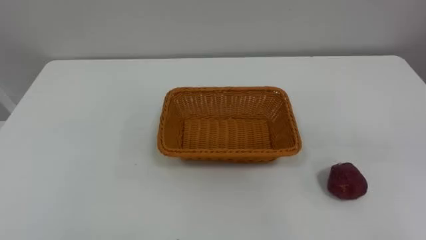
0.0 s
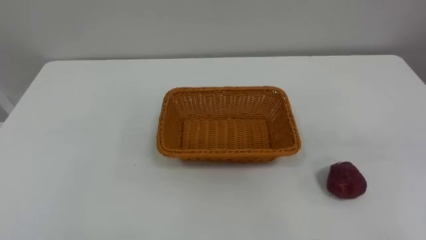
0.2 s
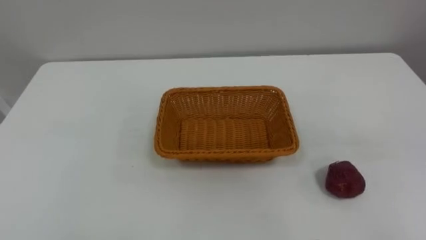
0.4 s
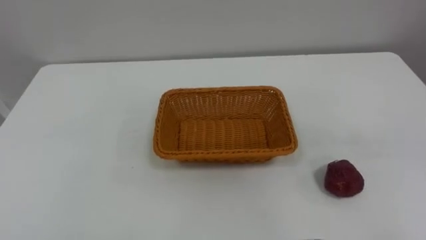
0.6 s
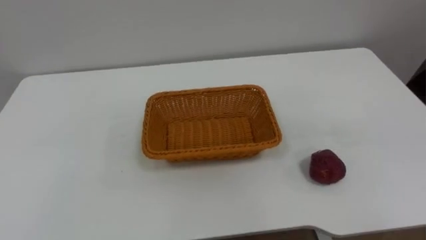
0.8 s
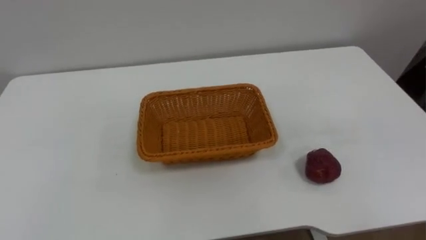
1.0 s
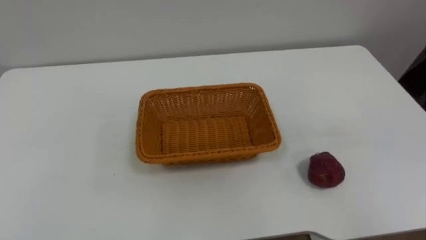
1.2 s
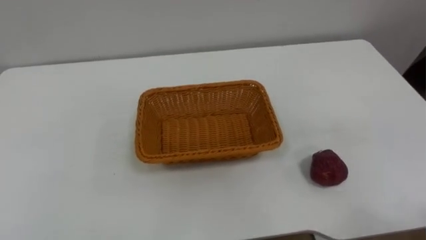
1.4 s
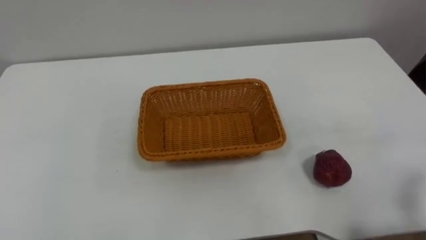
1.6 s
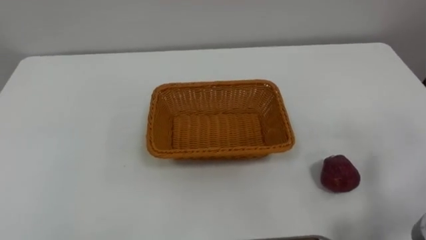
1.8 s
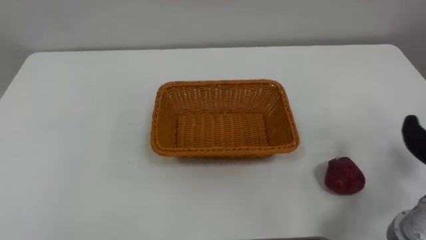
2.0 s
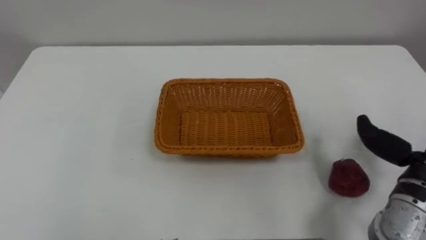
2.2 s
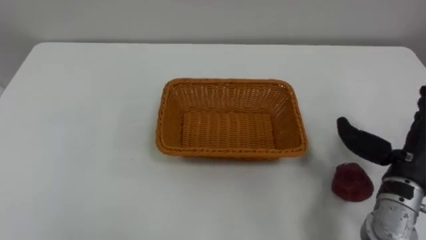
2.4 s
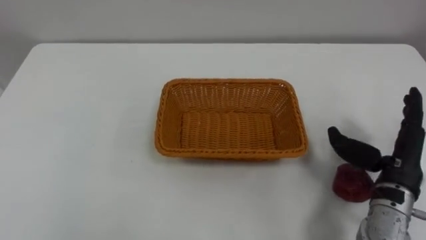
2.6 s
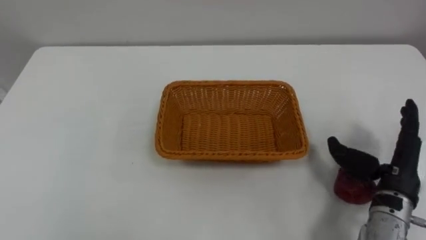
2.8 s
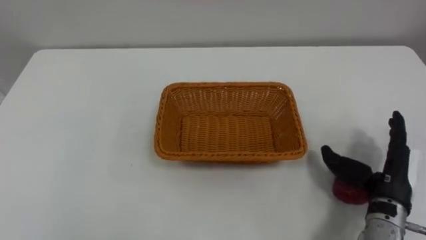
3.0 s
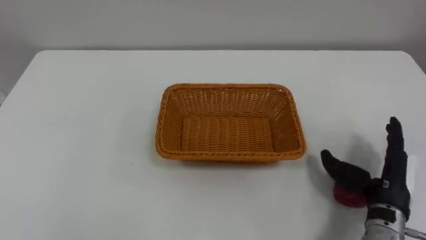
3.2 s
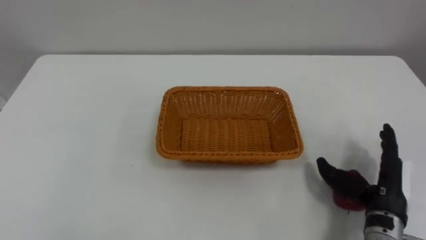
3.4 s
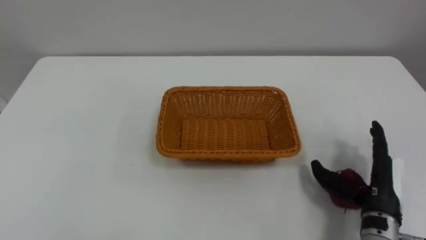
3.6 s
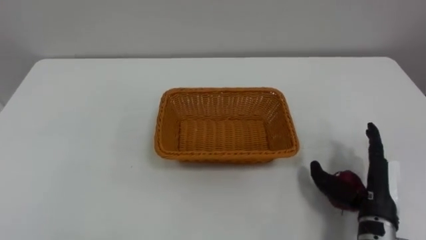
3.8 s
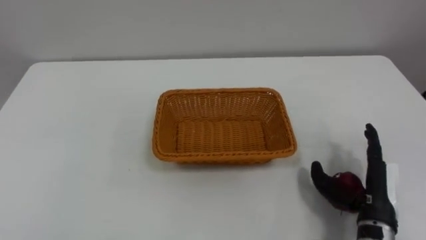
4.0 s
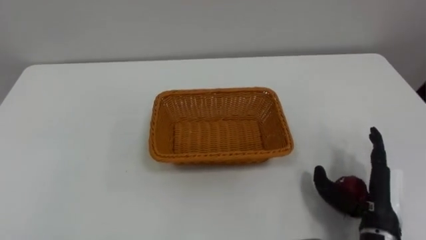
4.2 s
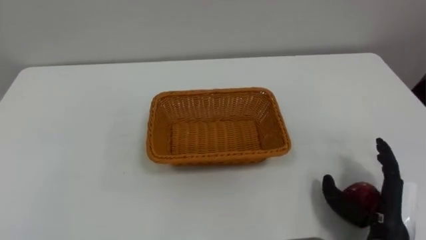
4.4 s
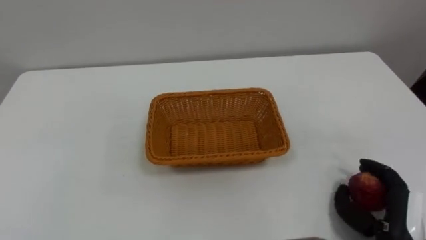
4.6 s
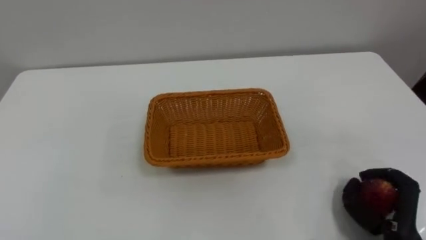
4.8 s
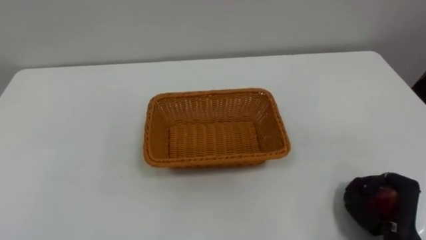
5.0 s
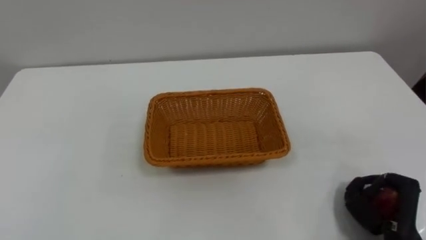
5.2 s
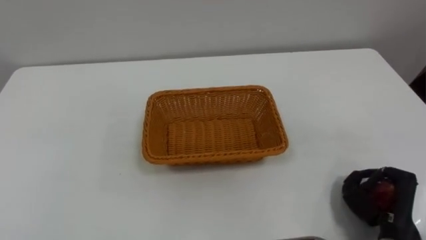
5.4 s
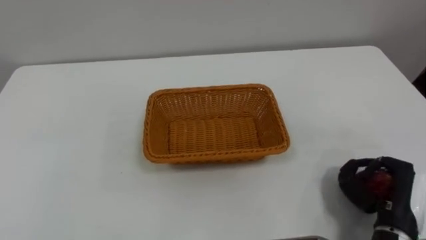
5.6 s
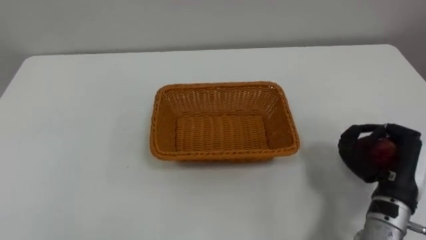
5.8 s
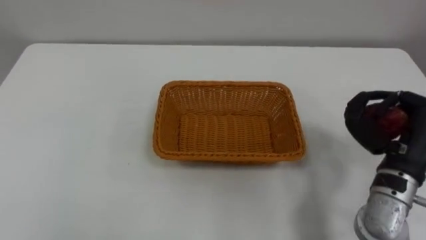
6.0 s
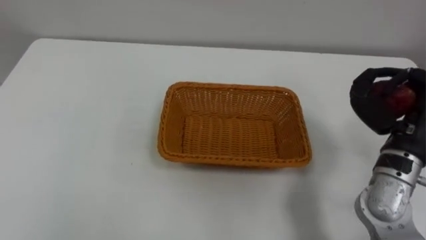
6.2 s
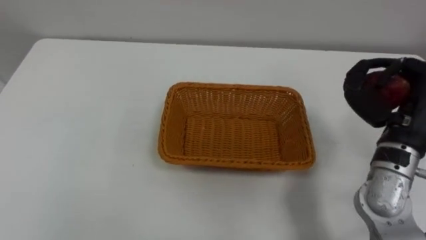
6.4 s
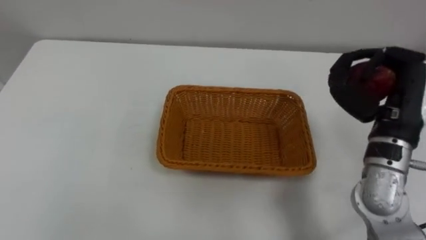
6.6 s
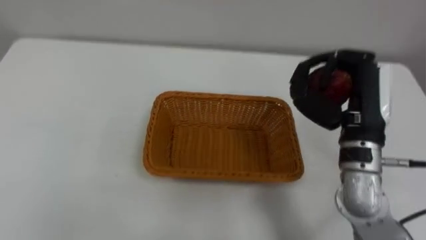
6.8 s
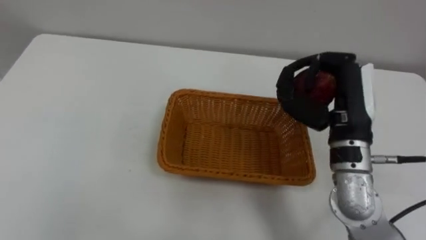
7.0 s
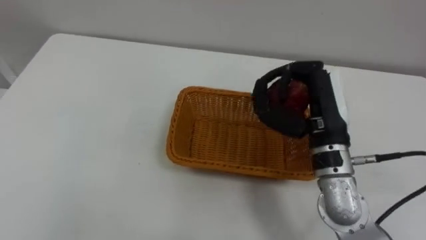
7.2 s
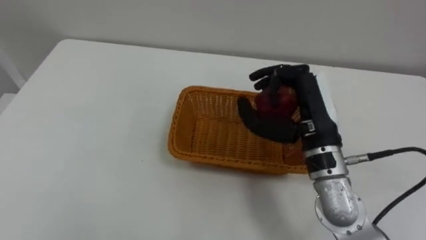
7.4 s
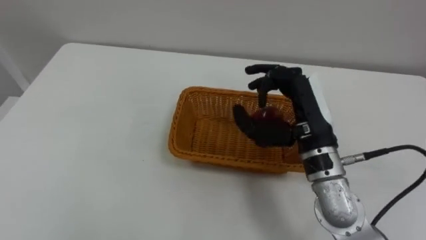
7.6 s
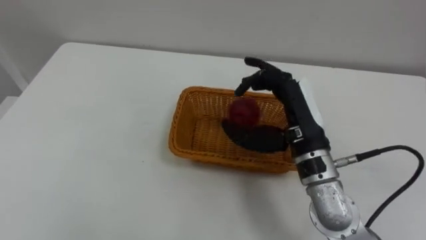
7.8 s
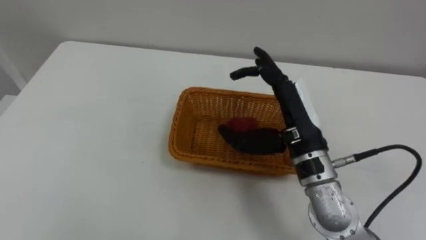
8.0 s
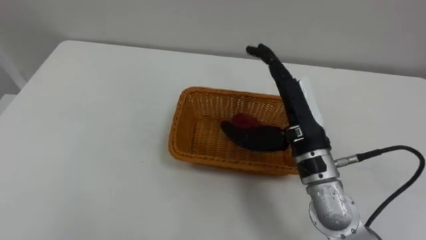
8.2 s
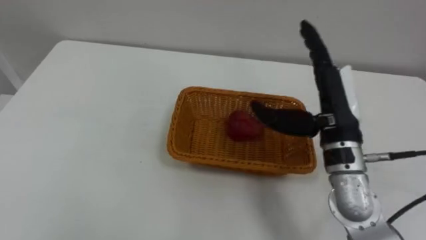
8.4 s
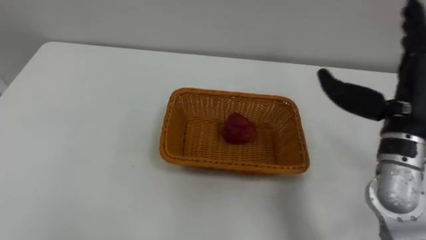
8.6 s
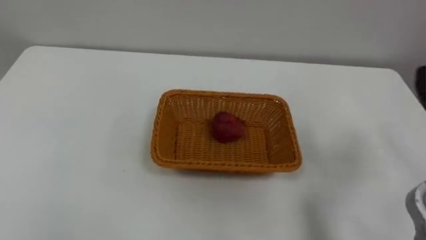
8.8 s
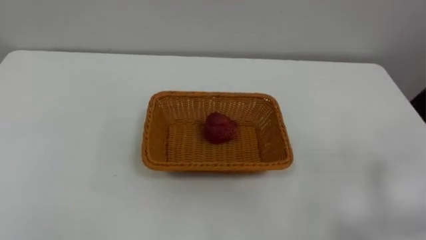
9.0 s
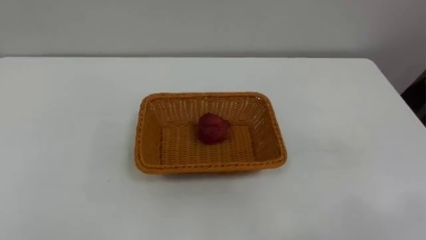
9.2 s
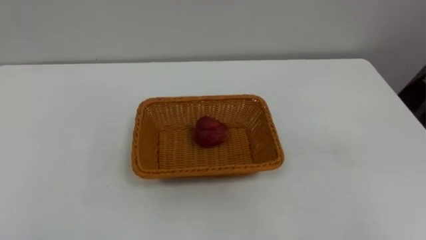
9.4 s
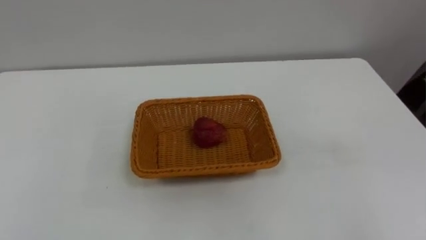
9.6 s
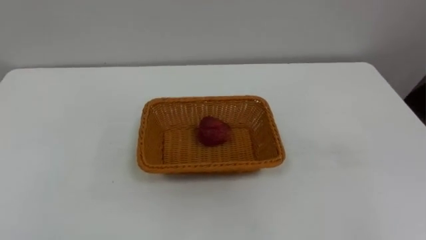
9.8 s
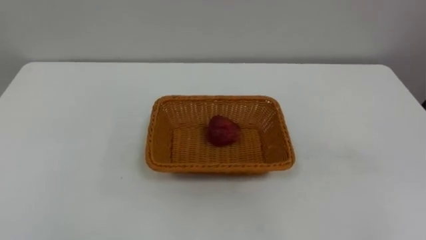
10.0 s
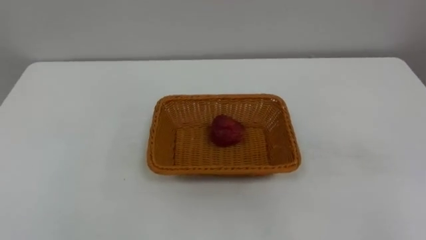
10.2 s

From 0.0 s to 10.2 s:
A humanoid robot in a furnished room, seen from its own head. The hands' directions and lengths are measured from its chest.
Task of the whole recording: Pick the apple and place it in the box.
From 3.0 s to 4.4 s: The right hand shifts approximately 5 cm backward.
From 4.4 s to 5.8 s: The right hand moves upward and forward, about 10 cm, and closes its fingers.
From 5.8 s to 7.2 s: The right hand goes some 20 cm to the left, upward and forward.

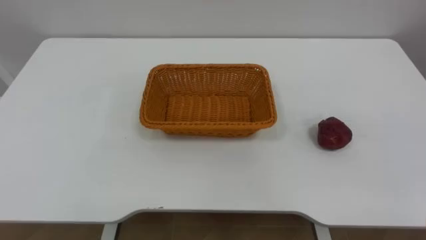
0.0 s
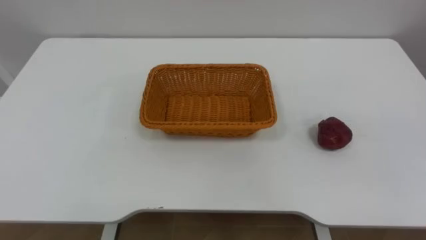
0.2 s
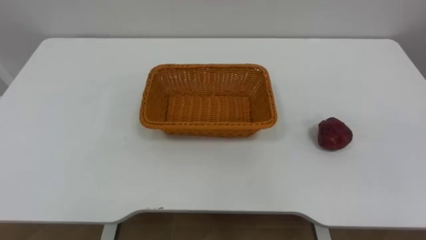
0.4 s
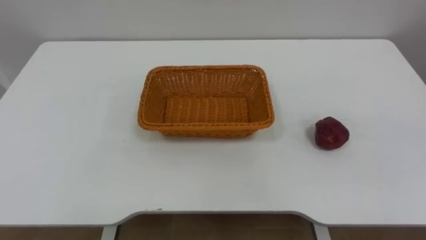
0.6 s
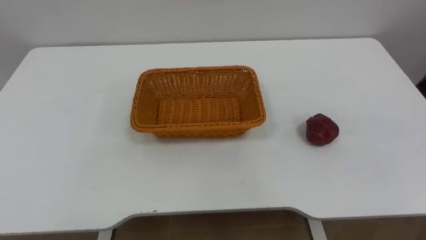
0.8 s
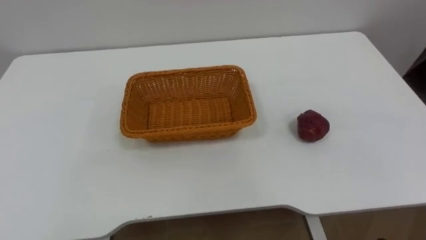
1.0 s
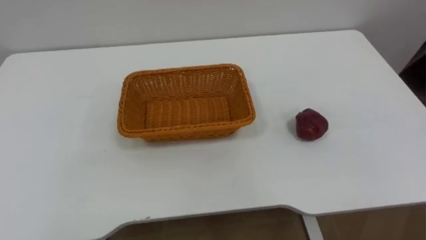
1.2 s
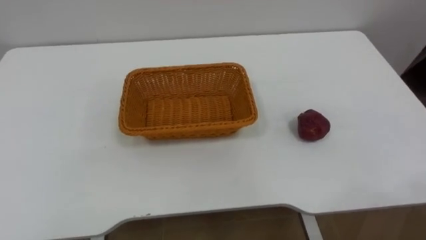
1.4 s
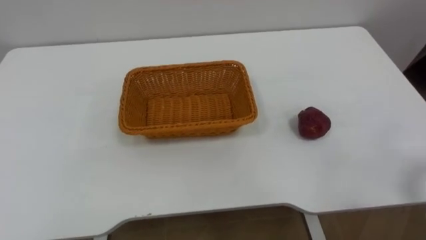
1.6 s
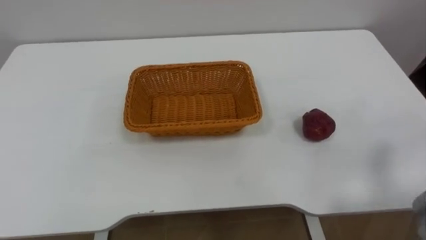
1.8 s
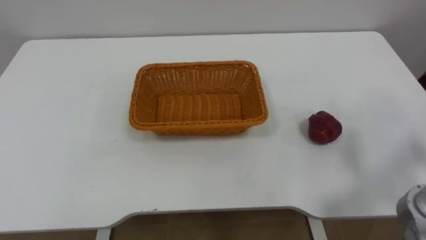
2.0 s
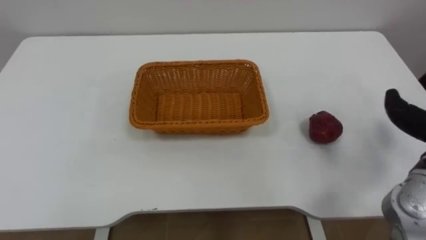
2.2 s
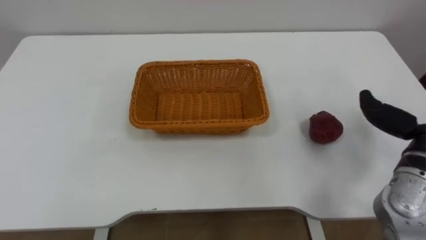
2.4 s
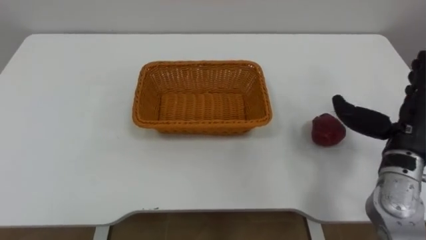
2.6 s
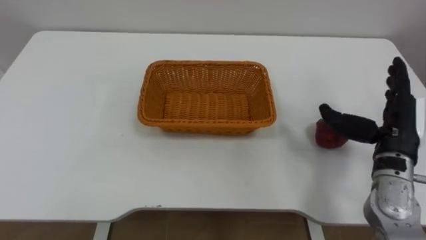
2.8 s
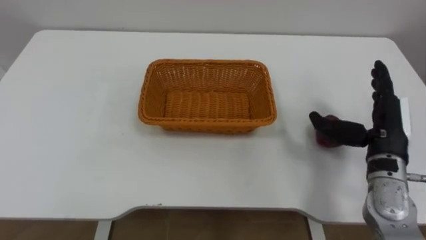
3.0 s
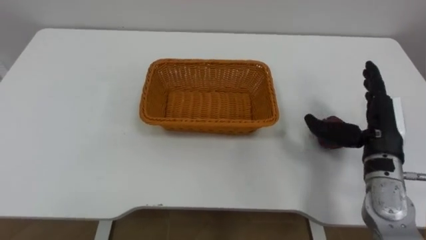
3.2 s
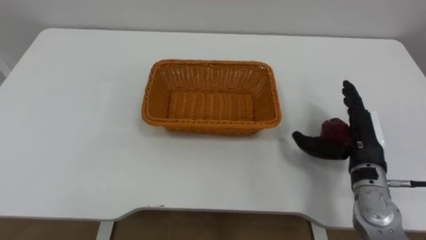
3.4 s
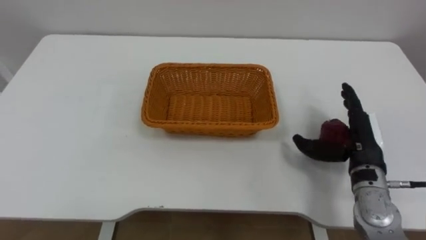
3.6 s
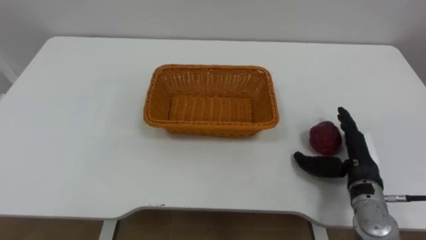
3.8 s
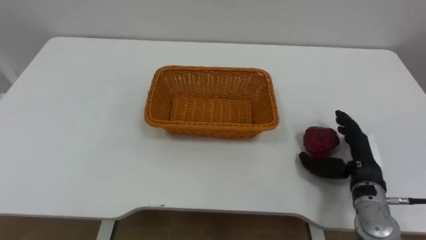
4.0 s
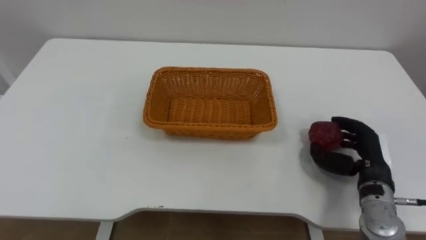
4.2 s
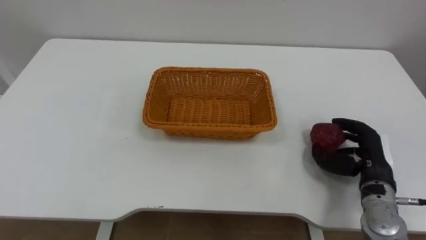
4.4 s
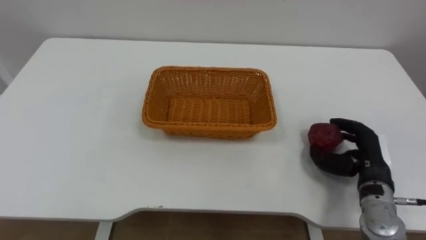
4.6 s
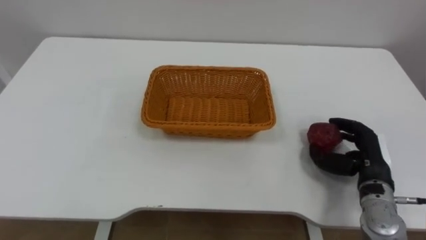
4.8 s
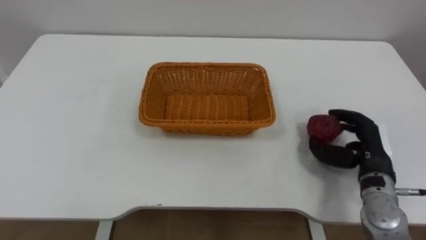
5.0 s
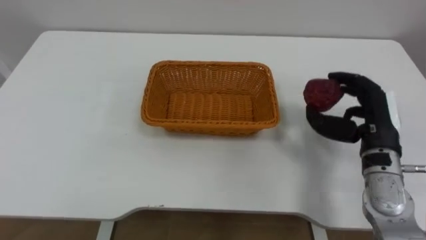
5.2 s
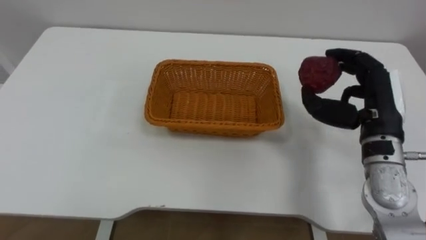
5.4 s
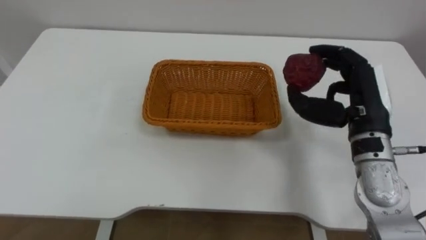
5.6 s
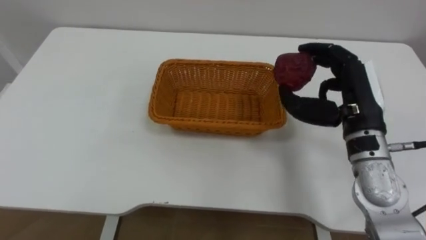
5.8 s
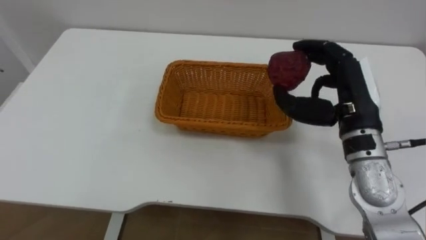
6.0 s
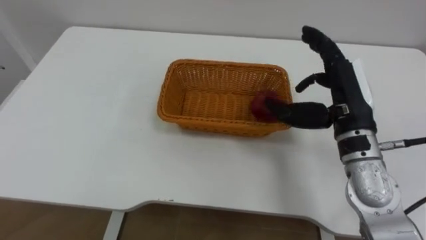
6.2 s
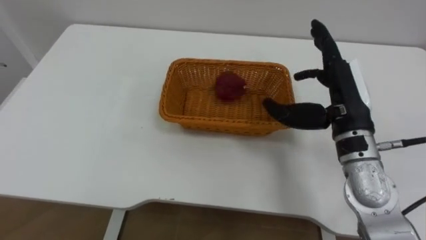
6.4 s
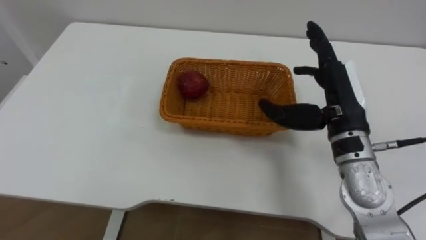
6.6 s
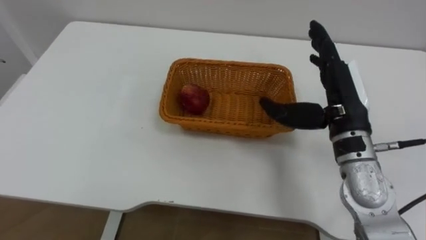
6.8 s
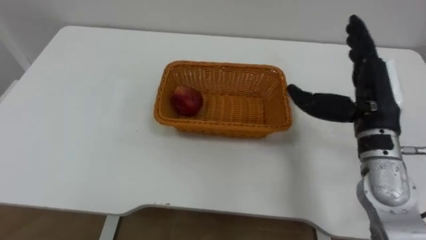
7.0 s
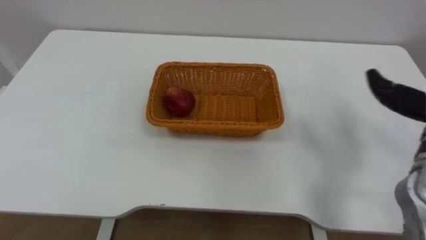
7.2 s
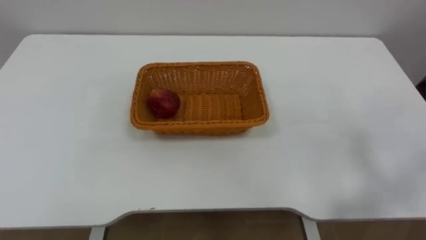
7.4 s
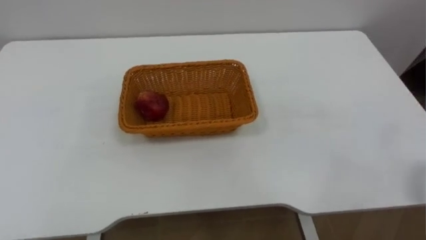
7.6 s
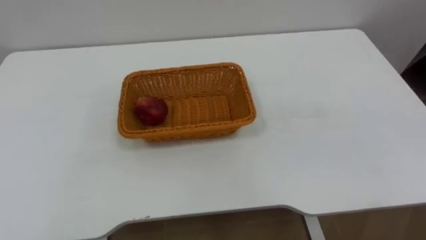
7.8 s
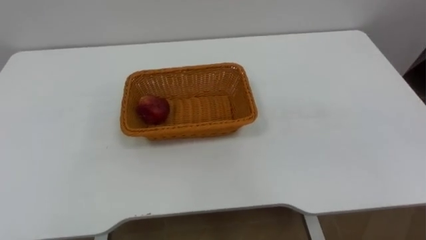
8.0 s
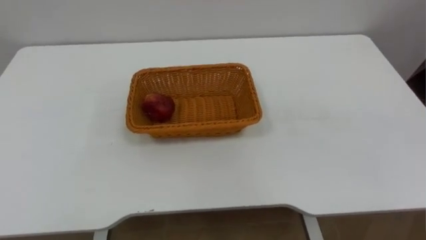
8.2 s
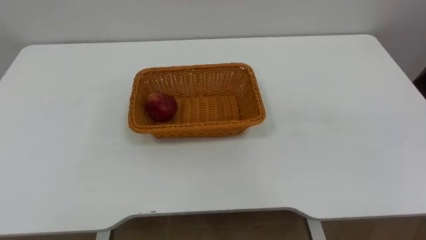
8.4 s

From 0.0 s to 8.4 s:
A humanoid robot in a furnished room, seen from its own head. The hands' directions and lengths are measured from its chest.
Task of the whole recording: Pick the apple and place it in the box.
From 2.8 s to 4.2 s: The right hand travels downward by roughly 10 cm, and closes its fingers.
From 4.2 s to 5.6 s: The right hand travels upward by roughly 15 cm.
From 5.6 s to 7.0 s: The right hand opens its fingers.
